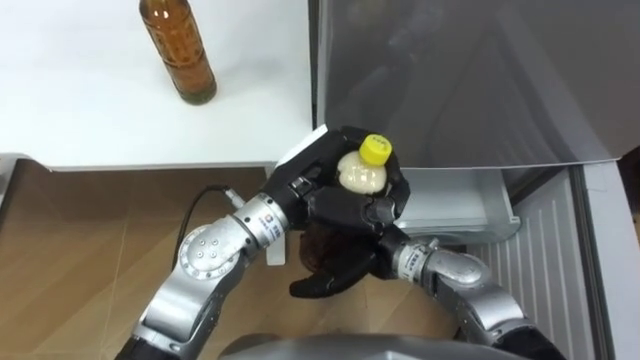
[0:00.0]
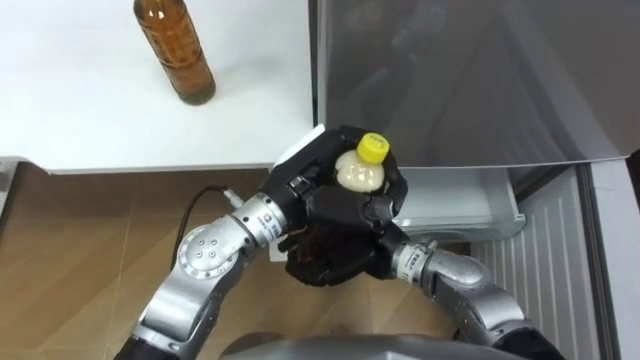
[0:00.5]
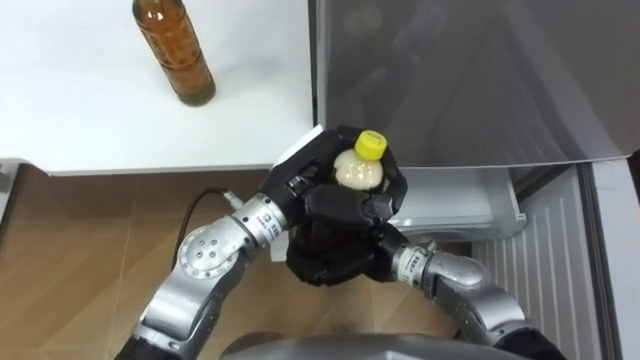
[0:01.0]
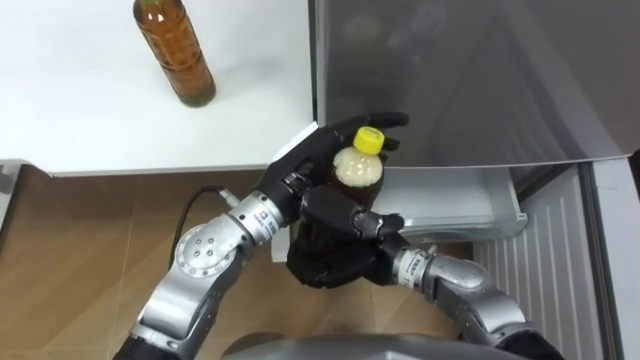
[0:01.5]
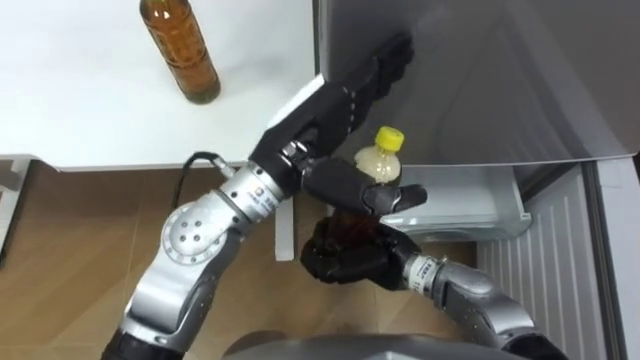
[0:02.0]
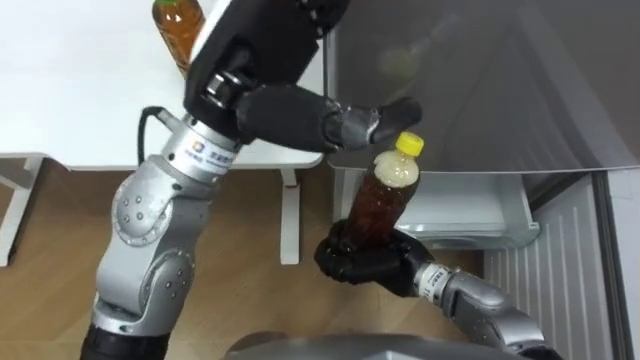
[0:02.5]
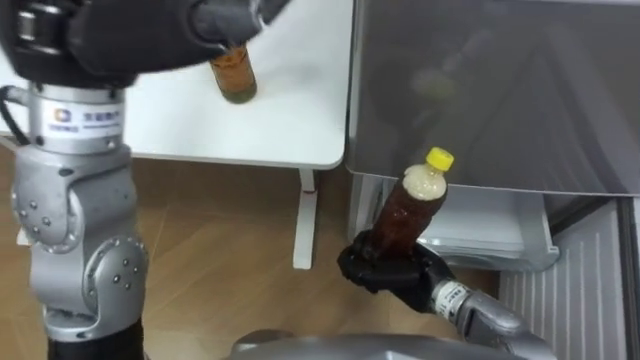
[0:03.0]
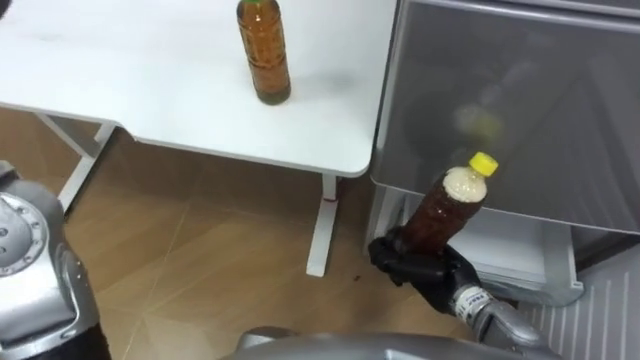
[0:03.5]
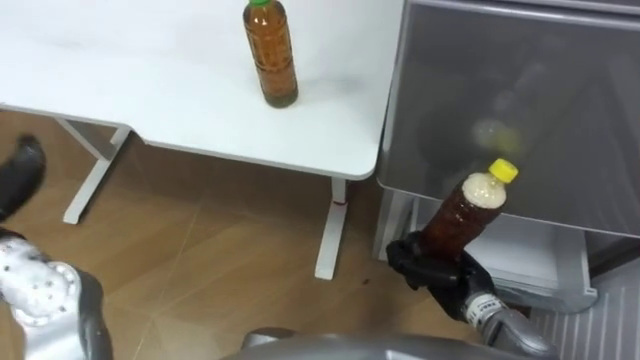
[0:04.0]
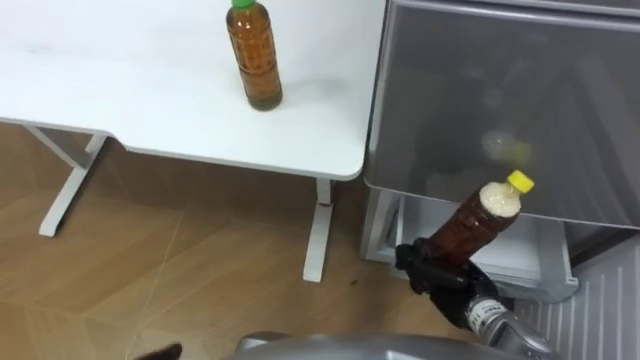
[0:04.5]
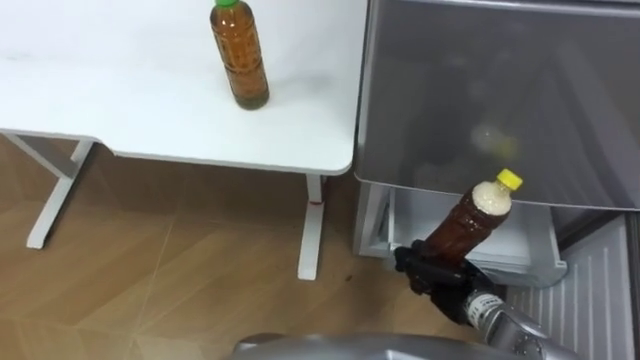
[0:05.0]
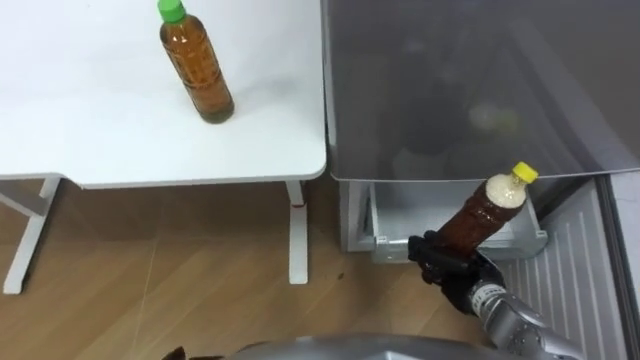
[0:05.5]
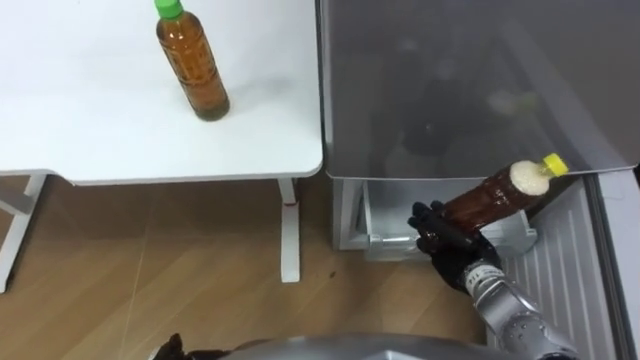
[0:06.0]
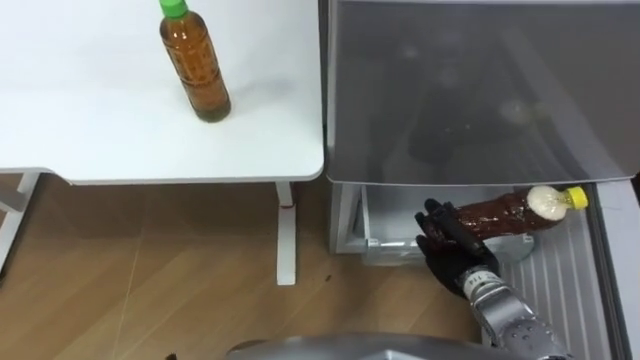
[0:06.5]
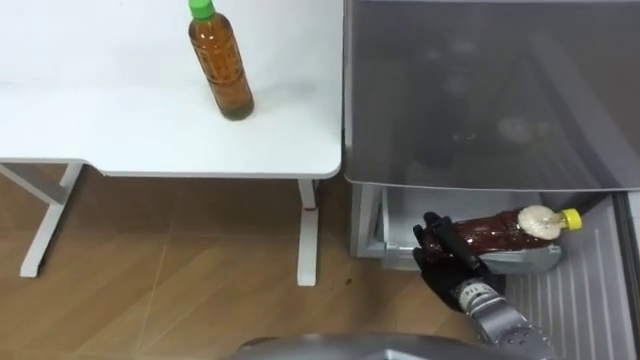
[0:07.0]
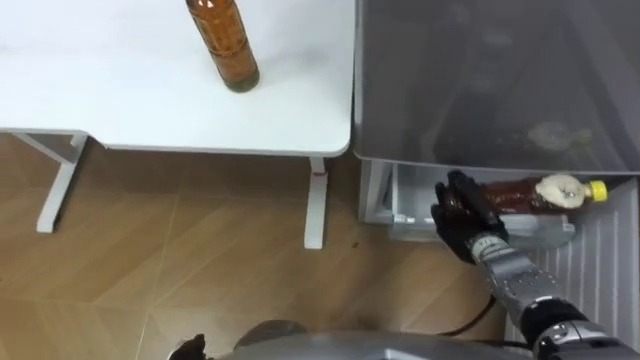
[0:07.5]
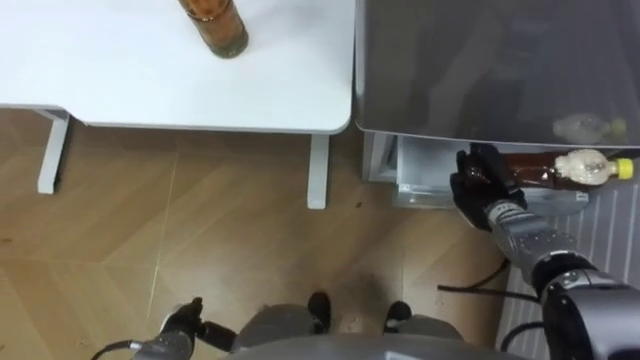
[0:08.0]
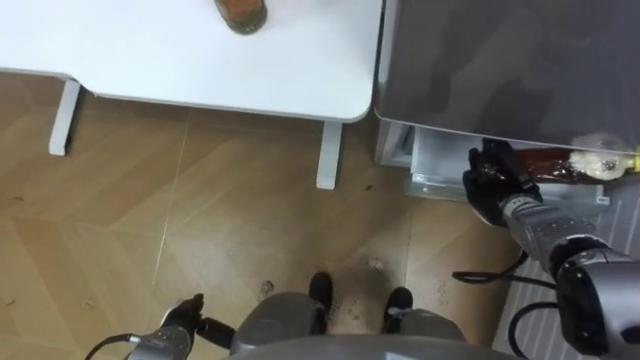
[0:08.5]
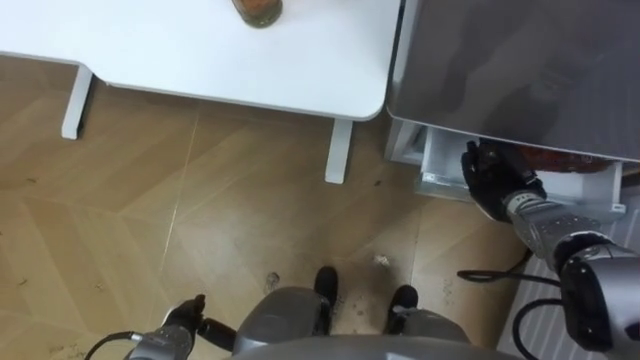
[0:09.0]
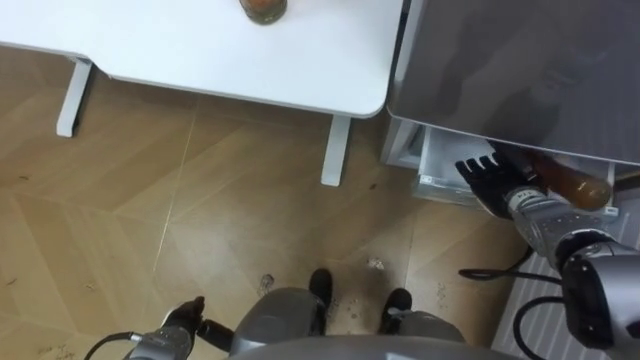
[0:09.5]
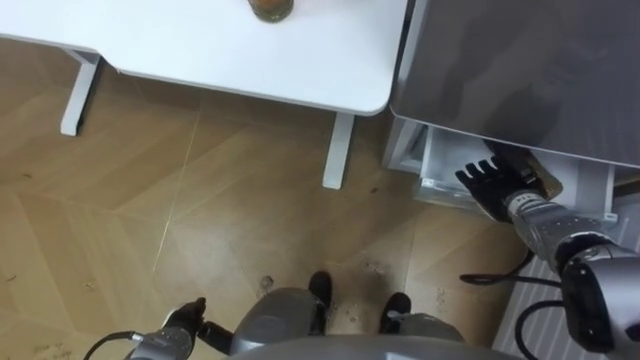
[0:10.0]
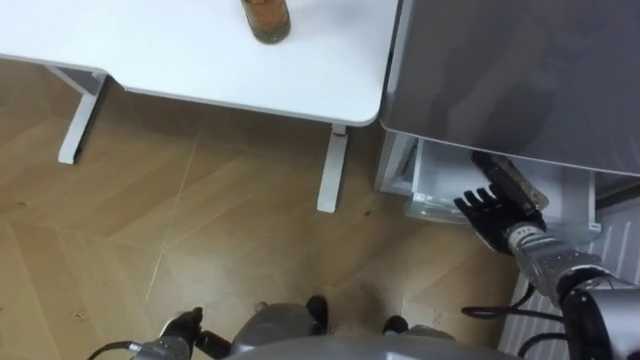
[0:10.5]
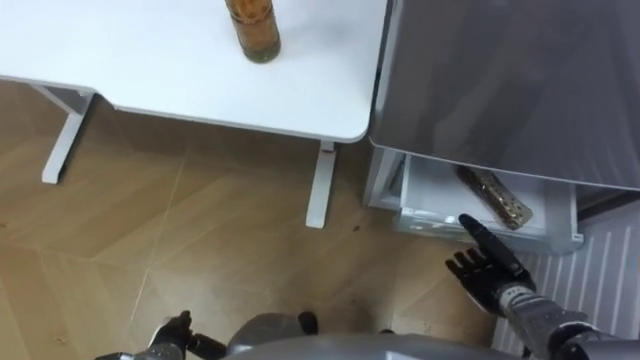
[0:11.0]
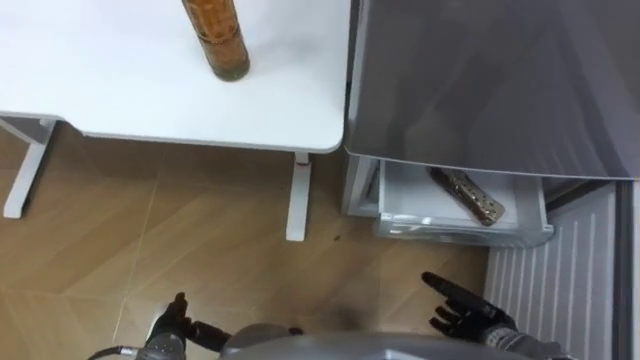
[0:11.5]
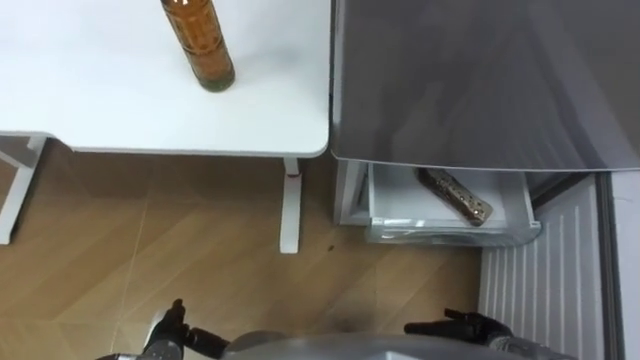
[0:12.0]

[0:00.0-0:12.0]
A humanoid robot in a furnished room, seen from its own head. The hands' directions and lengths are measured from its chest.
Task of the whole recording: Place the drink on the table on the bottom shelf of the refrigerator, then close the drawer and the refrigerator door.
0:00.0 to 0:02.0: The left hand goes roughly 5 cm upward, and opens its fingers. Meanwhile the right hand closes.
0:02.0 to 0:04.0: The right hand is displaced to the right by roughly 10 cm.
0:06.0 to 0:08.0: The right hand heads forward, covering approximately 10 cm.
0:08.0 to 0:10.0: The right hand opens its fingers.
0:10.0 to 0:12.0: The right hand moves backward and downward, approximately 25 cm.

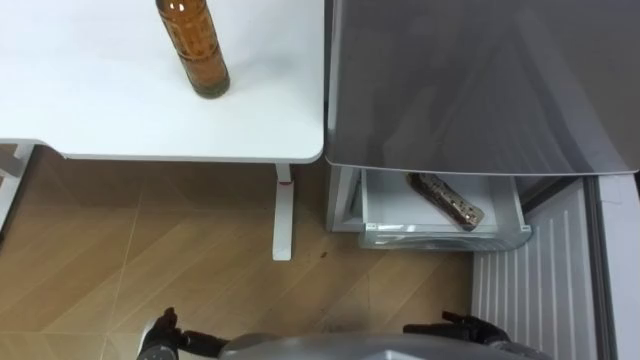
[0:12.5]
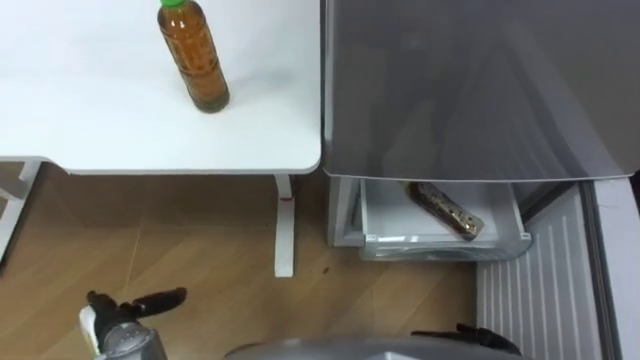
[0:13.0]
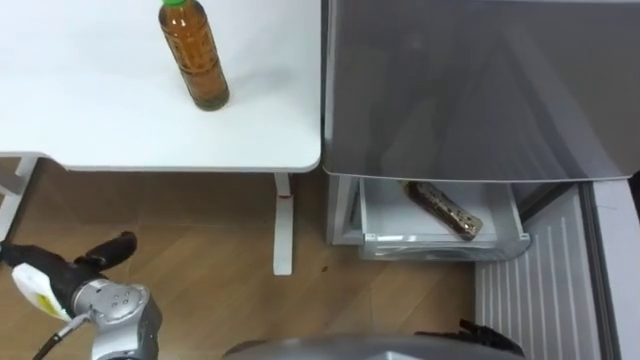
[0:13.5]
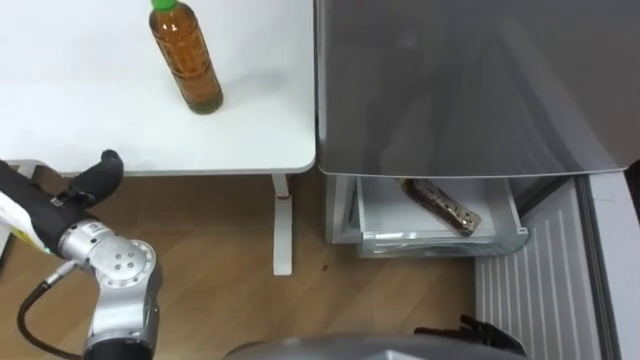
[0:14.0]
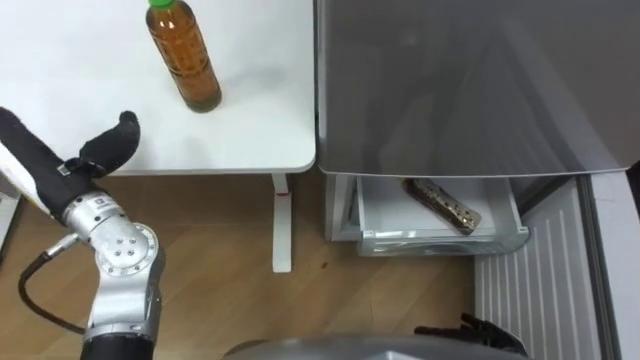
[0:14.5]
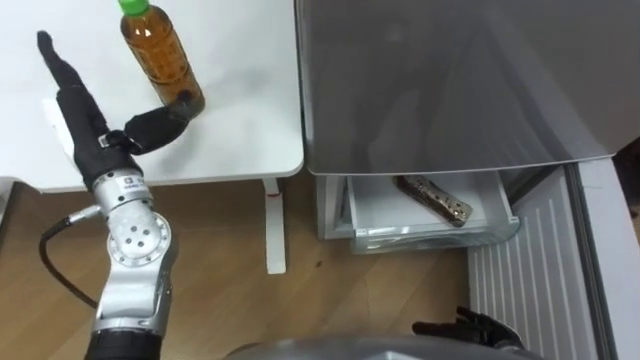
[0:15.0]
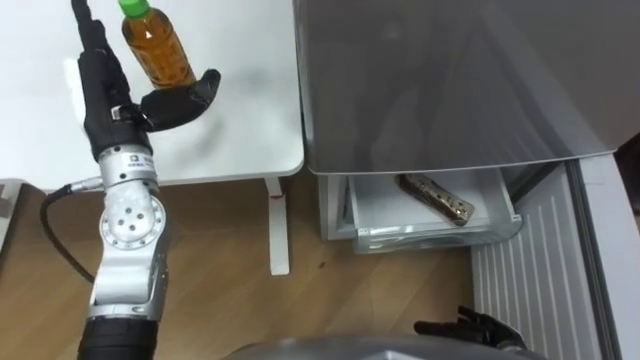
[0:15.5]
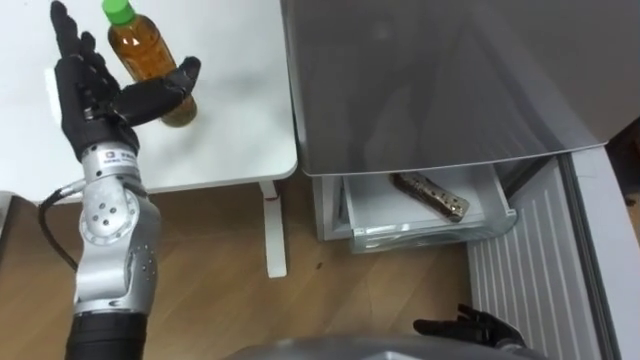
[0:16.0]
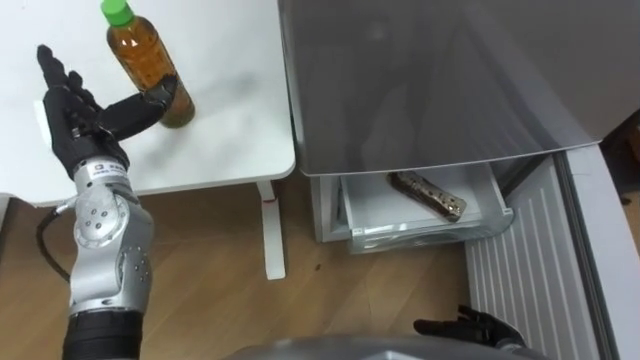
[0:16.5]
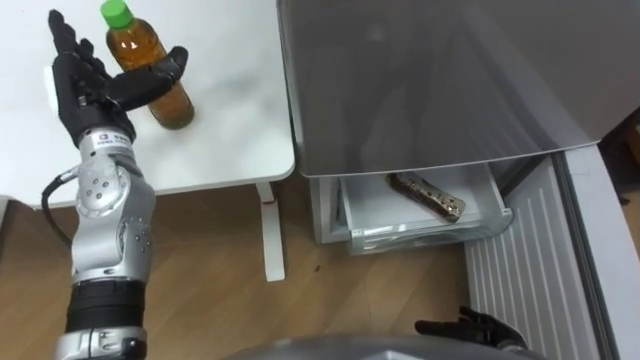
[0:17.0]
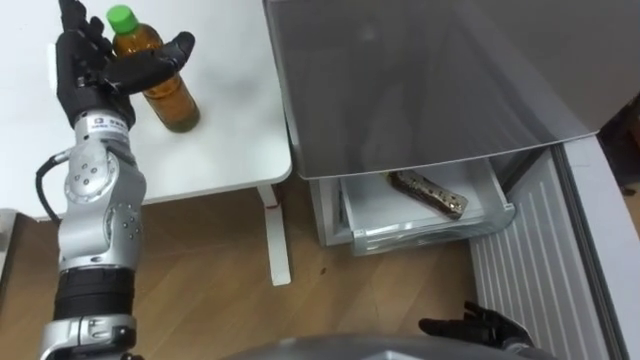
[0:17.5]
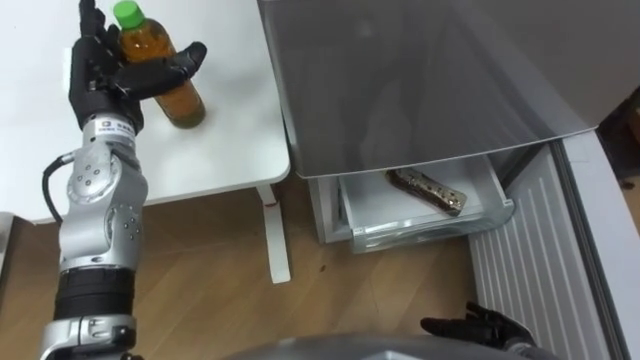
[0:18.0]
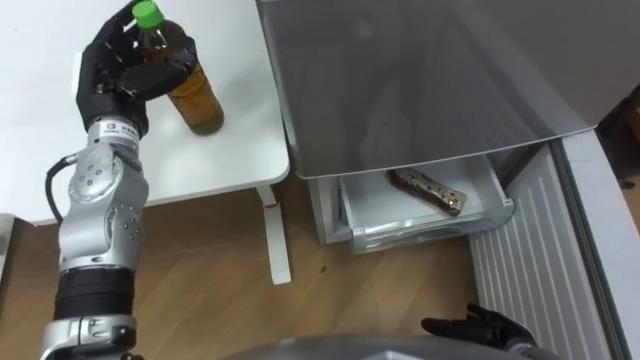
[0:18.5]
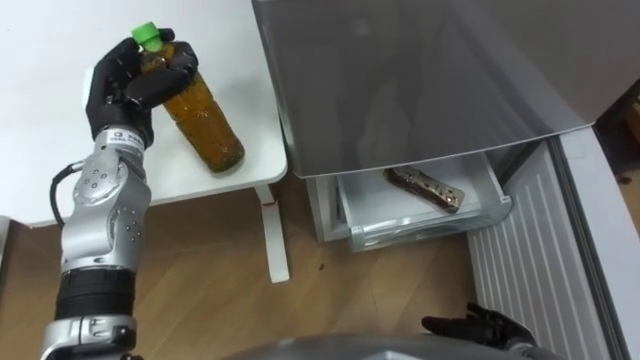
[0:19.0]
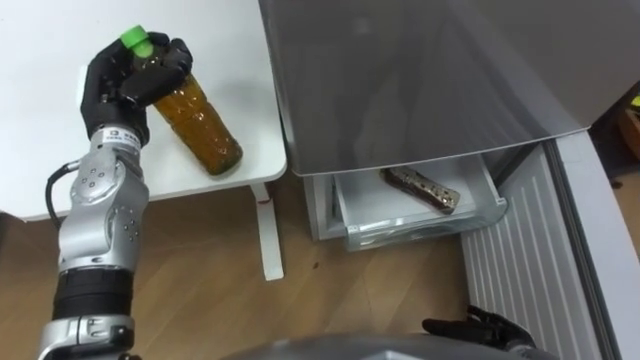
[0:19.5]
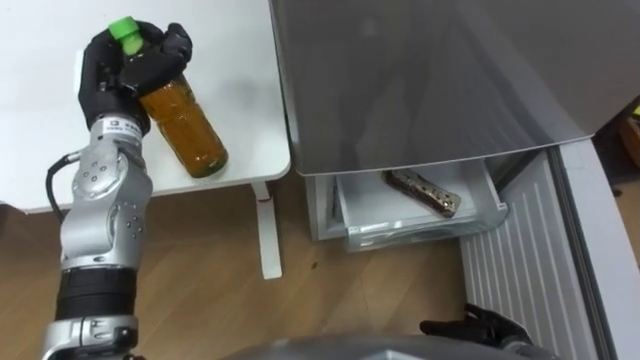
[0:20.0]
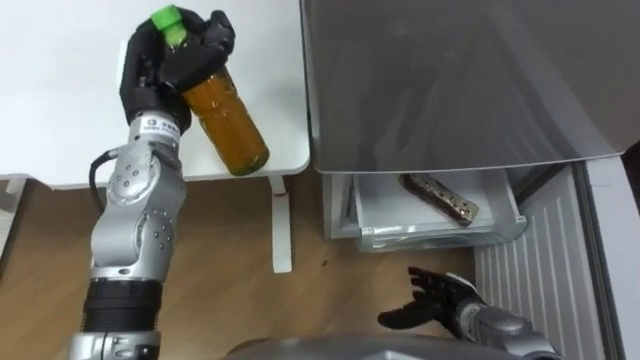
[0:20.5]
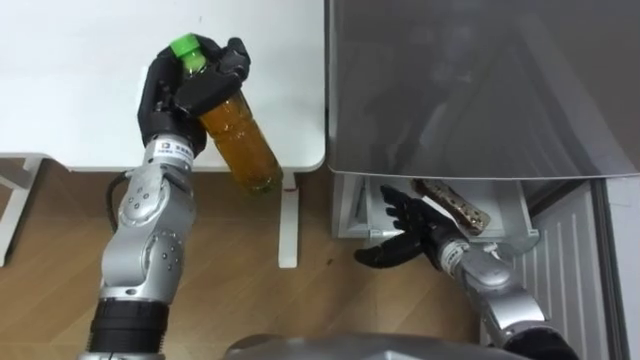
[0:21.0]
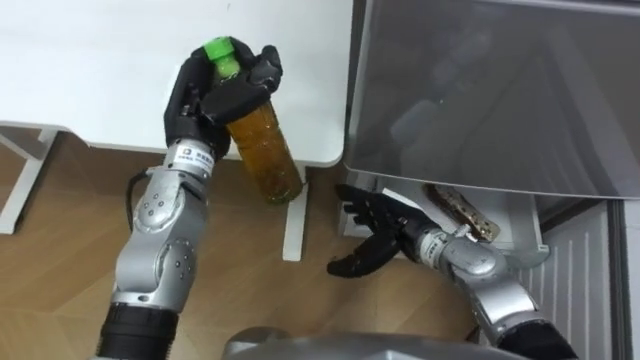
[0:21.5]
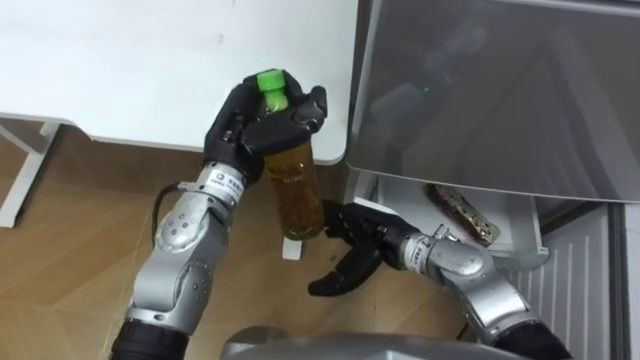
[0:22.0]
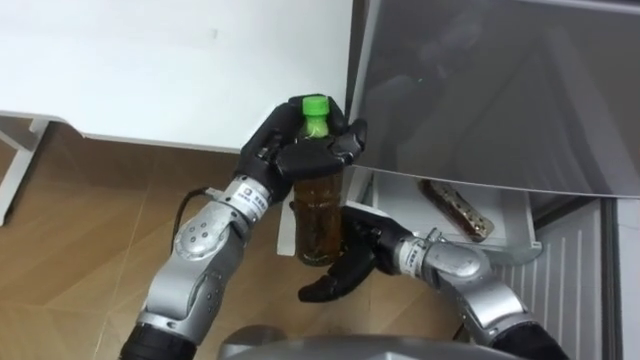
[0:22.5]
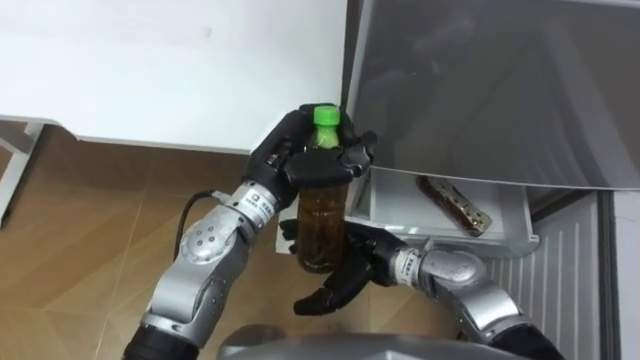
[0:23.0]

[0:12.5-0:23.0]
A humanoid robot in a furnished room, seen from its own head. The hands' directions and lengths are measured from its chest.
Task of the whole recording: Place the drink on the table on the bottom shelf of the refrigerator, then close the drawer and the refrigerator door.
0:12.5 to 0:14.5: The left hand moves upward and forward, roughly 30 cm.
0:14.5 to 0:16.5: The left hand is displaced forward by roughly 5 cm.
0:16.5 to 0:19.0: The left hand changes place by about 5 cm, and closes up.
0:19.0 to 0:21.0: The right hand is displaced forward, to the left and upward by about 20 cm. Meanwhile the left hand moves to the right, about 5 cm.
0:21.0 to 0:23.0: The left hand moves to the right, roughly 15 cm. The right hand shifts about 10 cm to the left.
